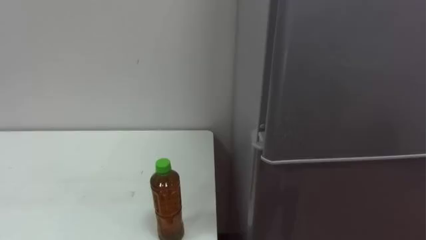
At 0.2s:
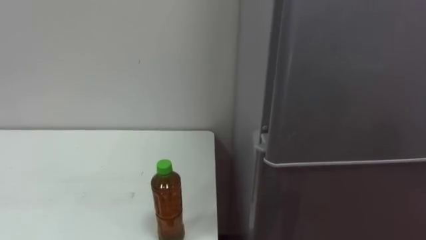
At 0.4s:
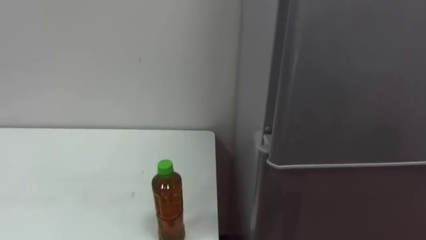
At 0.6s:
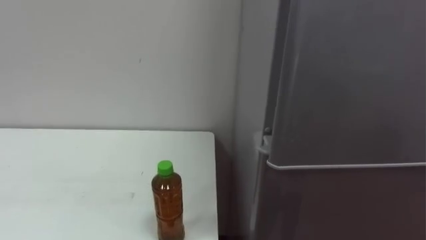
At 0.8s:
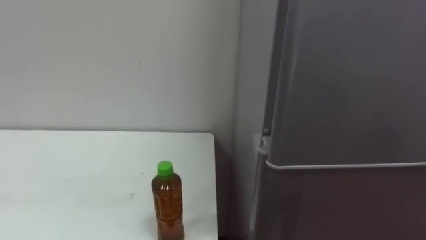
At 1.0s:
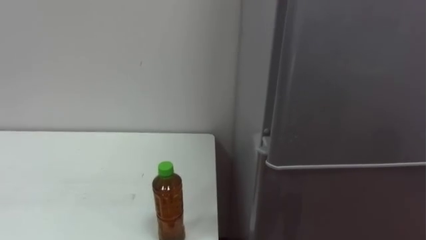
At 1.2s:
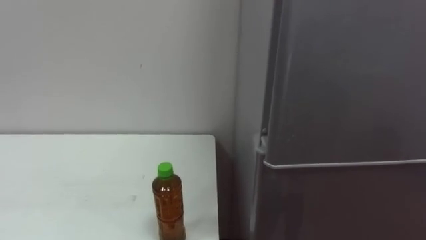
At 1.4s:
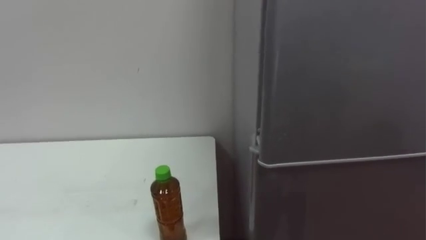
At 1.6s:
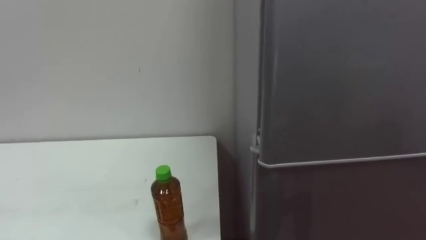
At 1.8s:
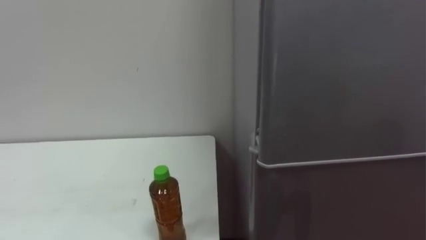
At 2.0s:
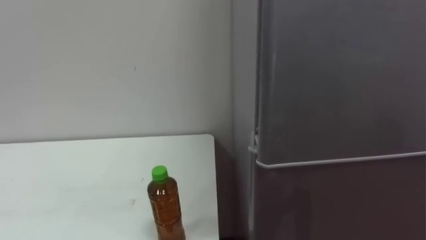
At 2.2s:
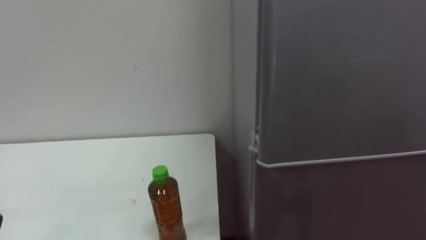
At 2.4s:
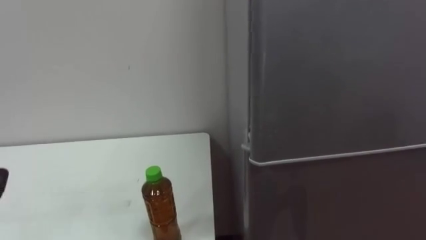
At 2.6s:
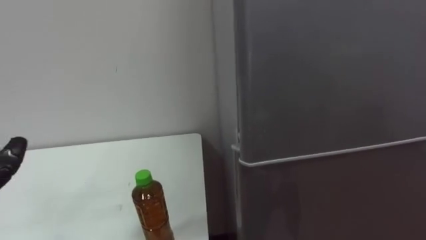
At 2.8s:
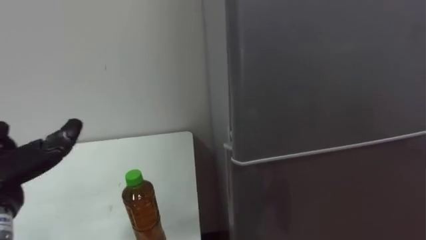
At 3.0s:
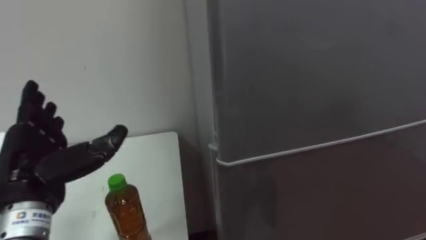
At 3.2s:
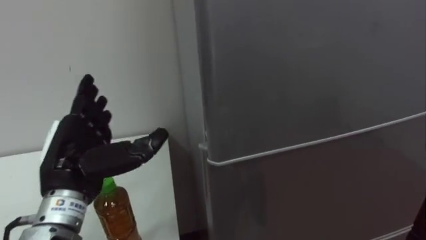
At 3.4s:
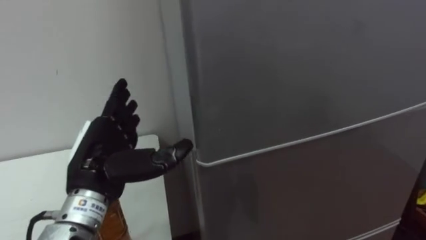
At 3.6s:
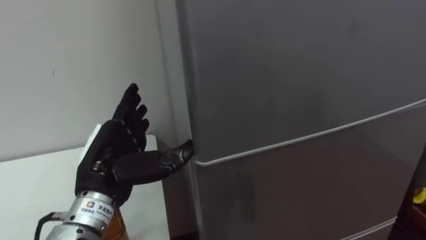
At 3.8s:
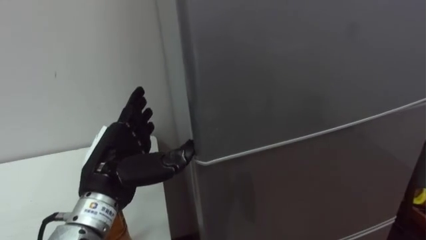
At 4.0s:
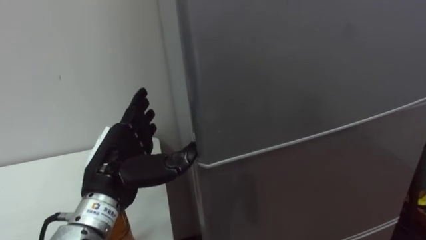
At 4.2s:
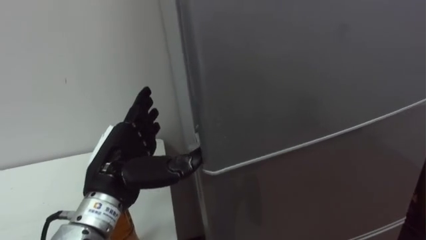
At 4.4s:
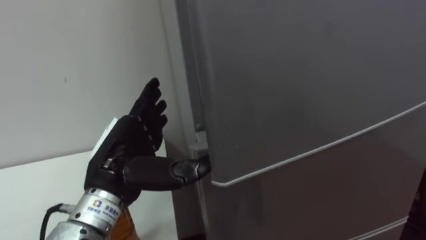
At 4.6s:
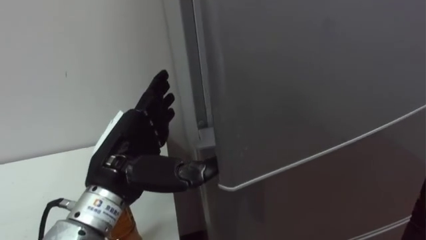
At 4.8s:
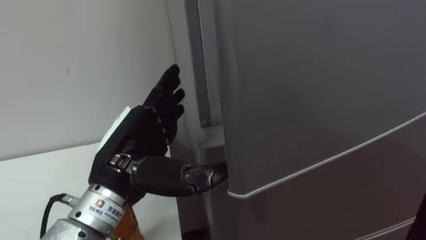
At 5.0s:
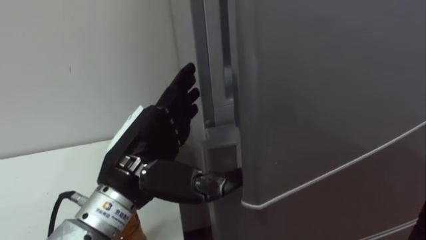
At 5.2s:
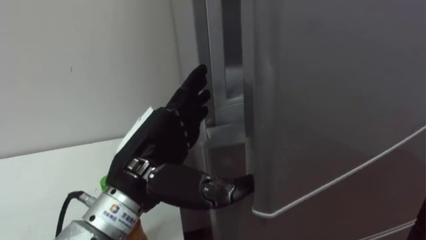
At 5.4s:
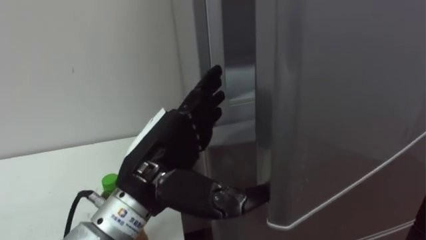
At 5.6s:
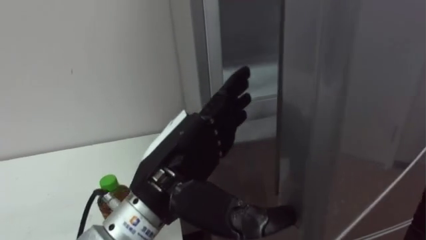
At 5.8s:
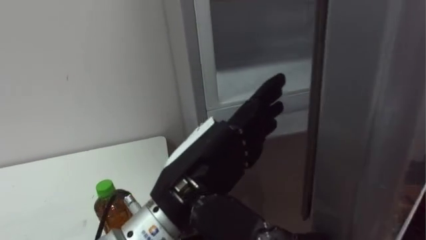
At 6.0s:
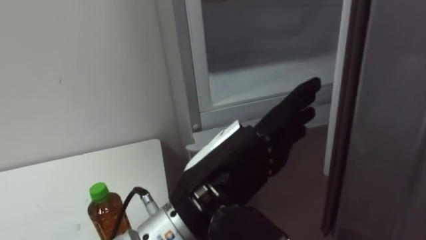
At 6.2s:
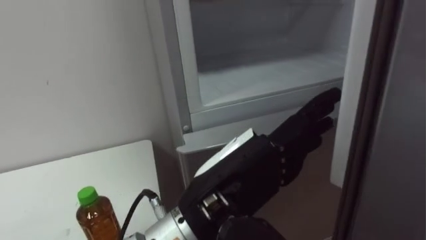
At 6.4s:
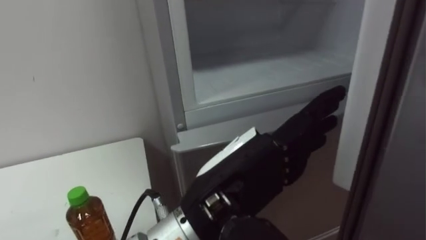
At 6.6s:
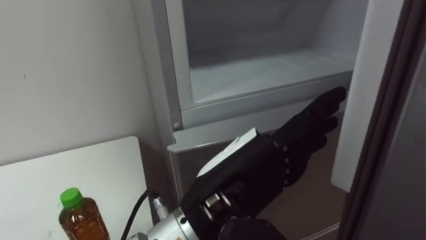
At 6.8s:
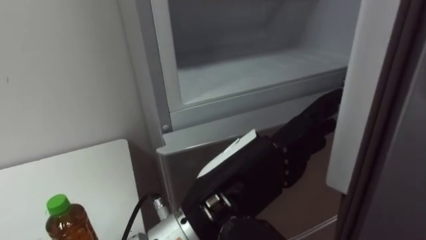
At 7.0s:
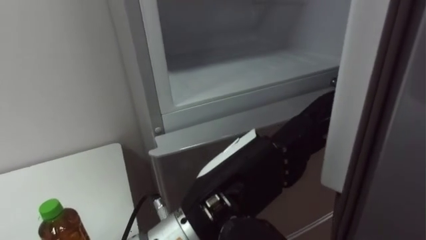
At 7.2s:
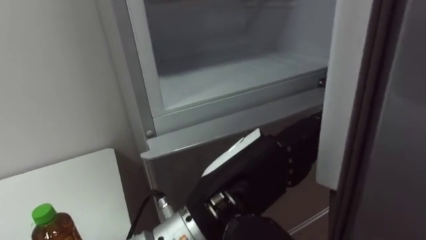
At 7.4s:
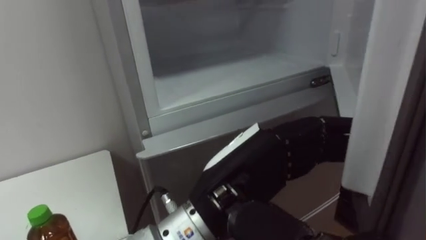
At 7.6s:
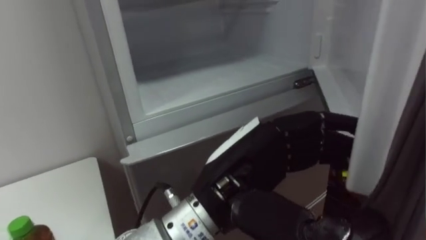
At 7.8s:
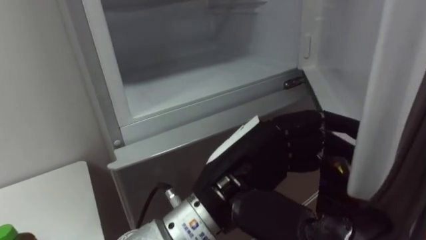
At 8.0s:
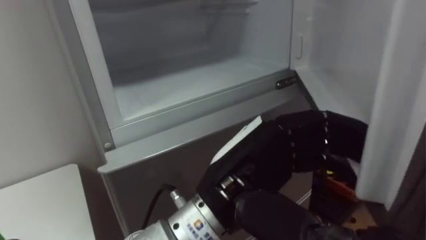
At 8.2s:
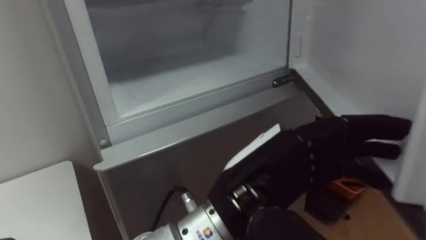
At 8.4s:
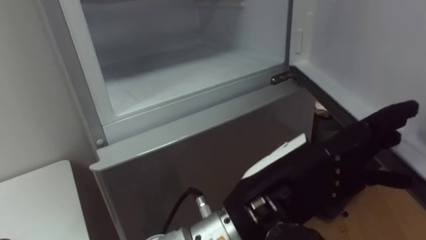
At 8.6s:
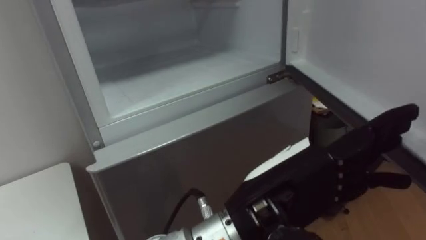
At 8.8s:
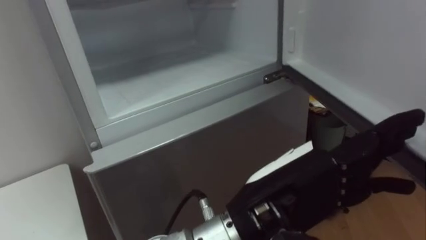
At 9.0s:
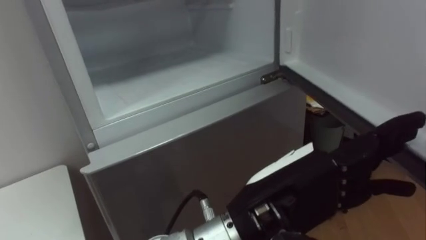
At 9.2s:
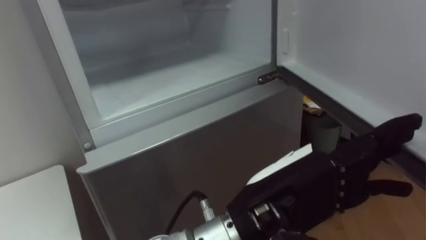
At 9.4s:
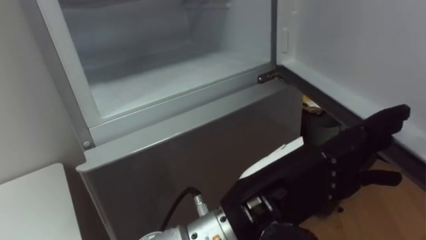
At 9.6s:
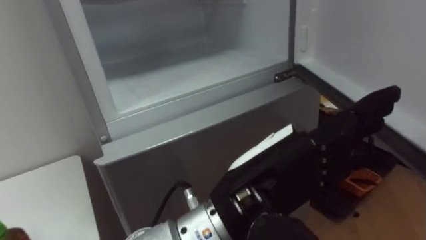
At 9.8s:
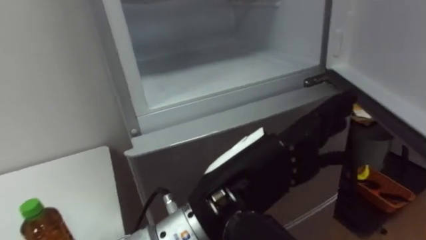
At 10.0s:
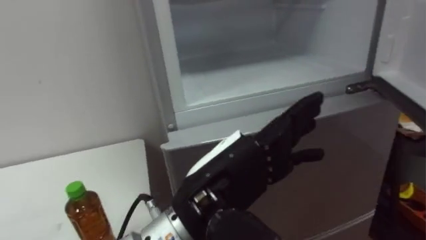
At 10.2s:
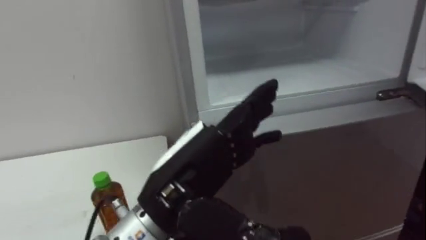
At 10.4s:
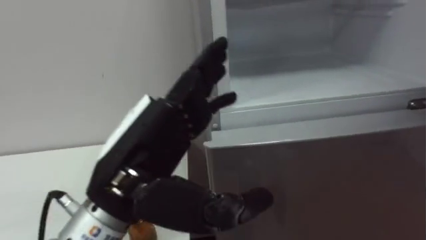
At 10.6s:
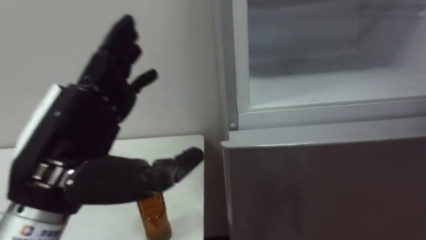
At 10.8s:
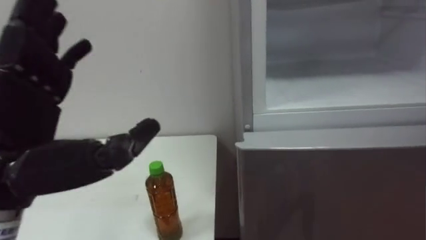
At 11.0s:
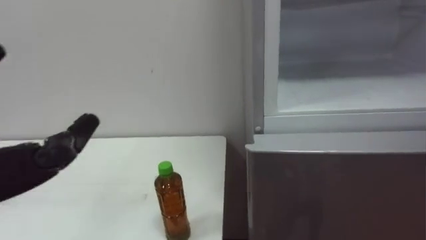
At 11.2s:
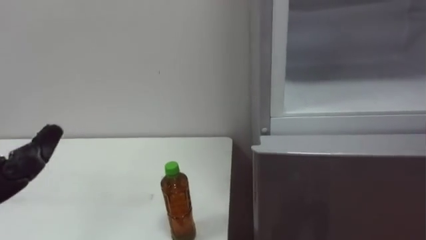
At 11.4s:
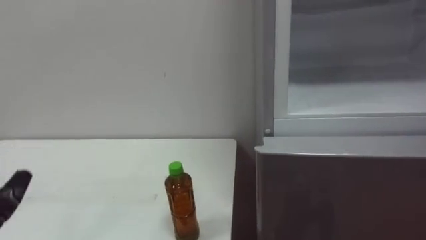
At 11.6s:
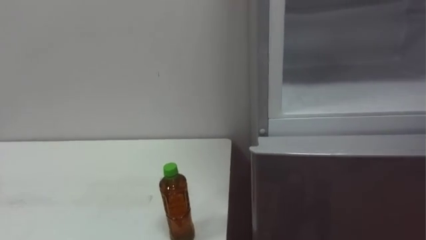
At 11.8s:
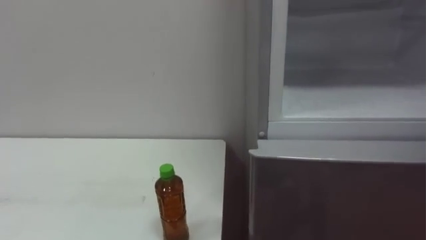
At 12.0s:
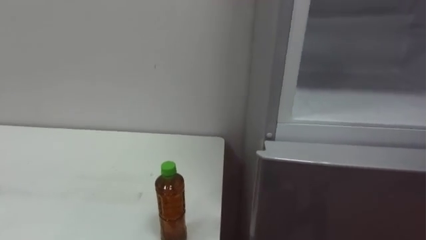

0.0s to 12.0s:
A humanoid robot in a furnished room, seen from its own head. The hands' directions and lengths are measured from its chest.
Task of the whole recording: Open the upper refrigerator door, put the drink from the table into the refrigerator, and then close the refrigerator door.
3.0s to 4.4s: The left hand heads to the right, covering some 10 cm.
4.4s to 6.0s: The left hand is displaced to the right and backward by roughly 15 cm.
6.0s to 7.6s: The left hand closes its fingers.
7.6s to 9.0s: The left hand opens up.
9.0s to 10.4s: The left hand travels to the left by approximately 15 cm.

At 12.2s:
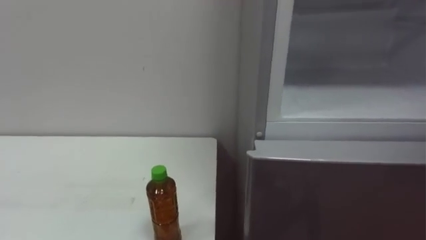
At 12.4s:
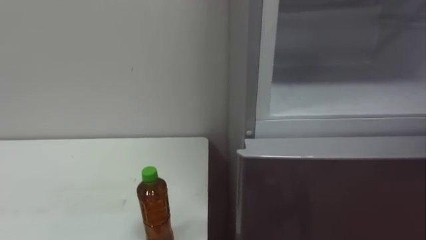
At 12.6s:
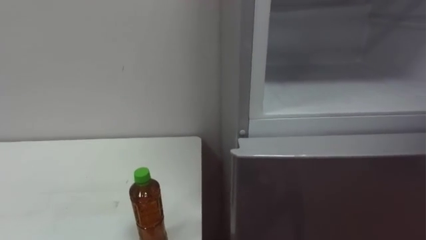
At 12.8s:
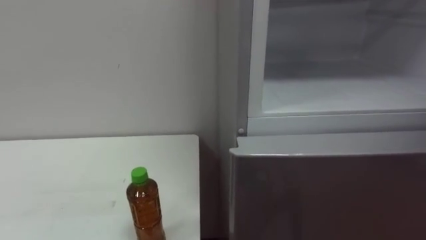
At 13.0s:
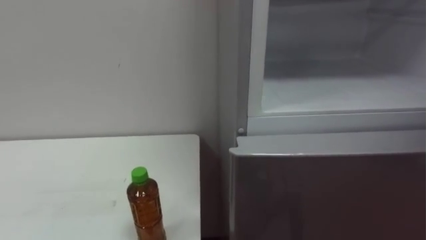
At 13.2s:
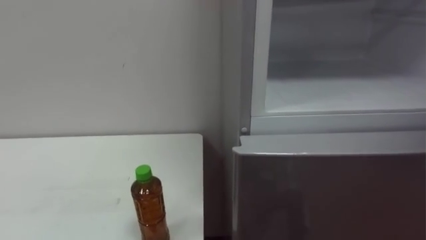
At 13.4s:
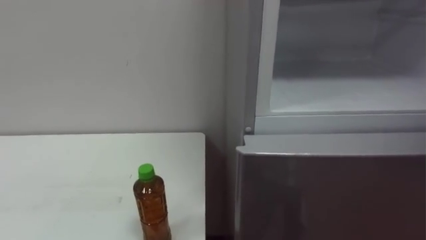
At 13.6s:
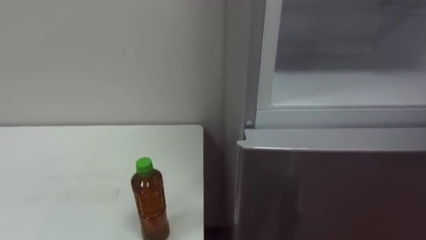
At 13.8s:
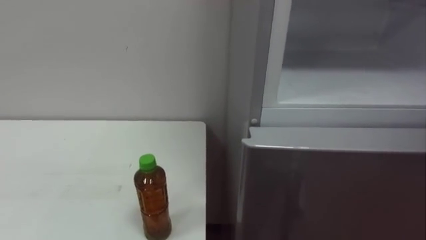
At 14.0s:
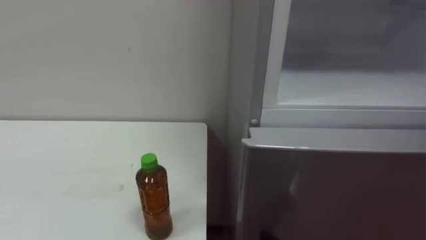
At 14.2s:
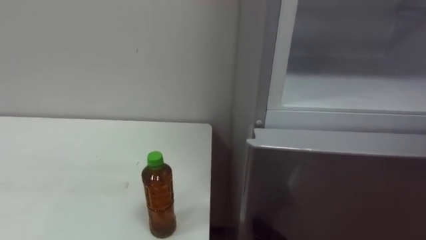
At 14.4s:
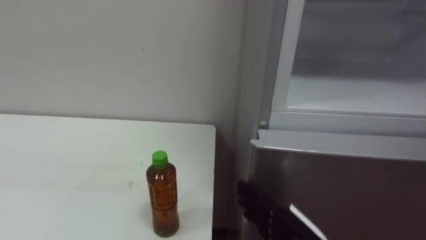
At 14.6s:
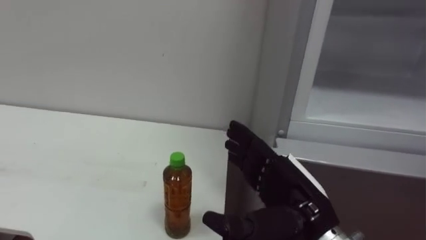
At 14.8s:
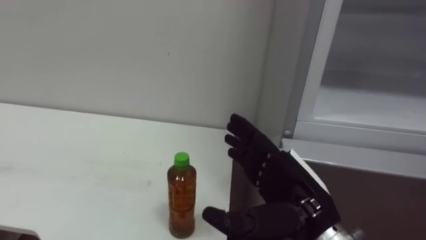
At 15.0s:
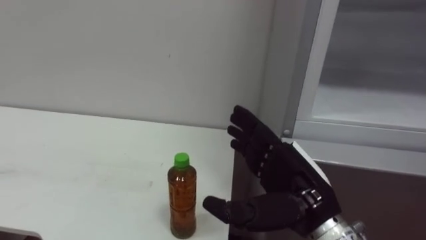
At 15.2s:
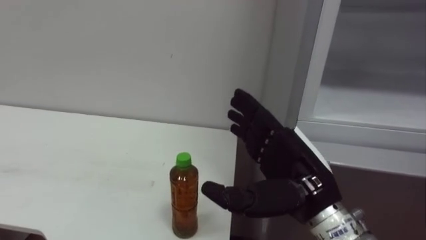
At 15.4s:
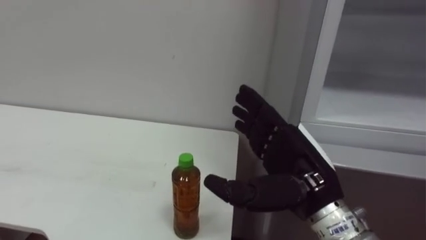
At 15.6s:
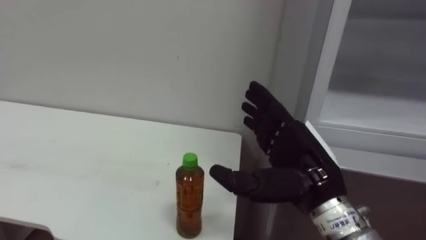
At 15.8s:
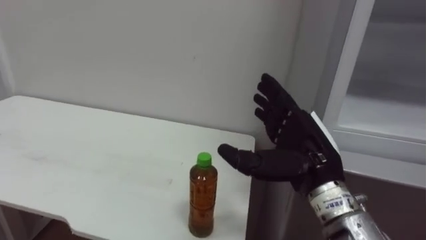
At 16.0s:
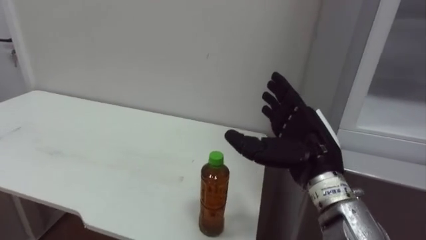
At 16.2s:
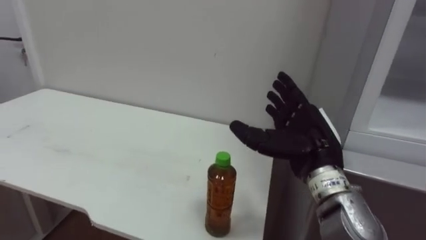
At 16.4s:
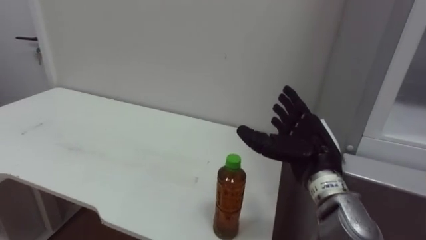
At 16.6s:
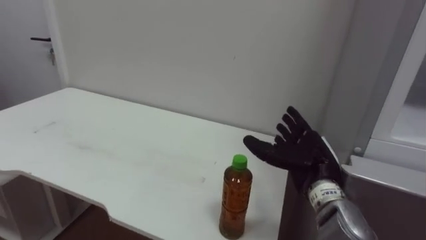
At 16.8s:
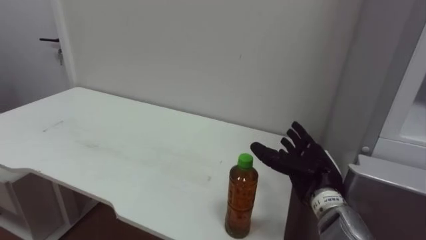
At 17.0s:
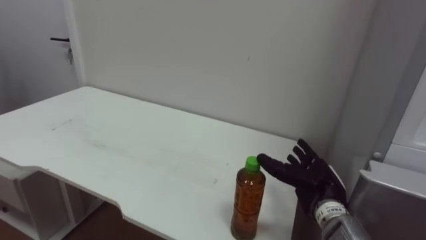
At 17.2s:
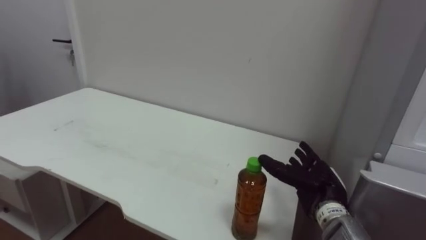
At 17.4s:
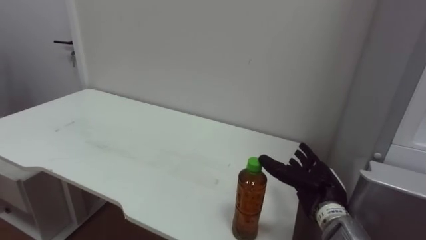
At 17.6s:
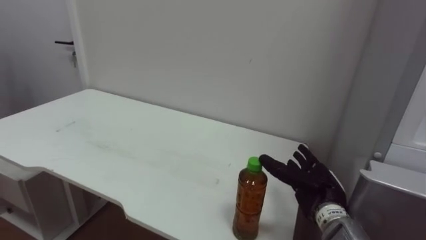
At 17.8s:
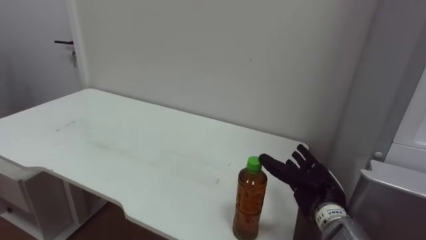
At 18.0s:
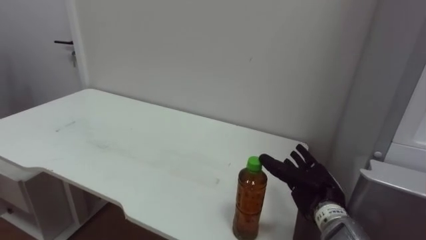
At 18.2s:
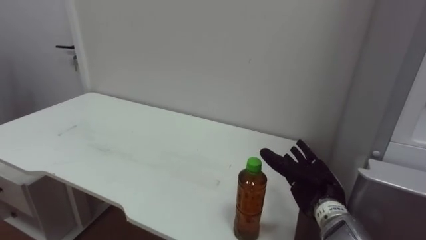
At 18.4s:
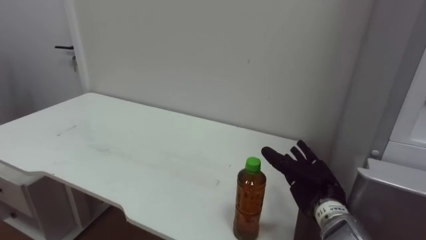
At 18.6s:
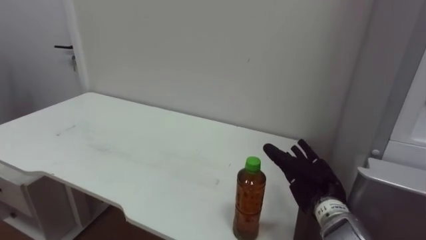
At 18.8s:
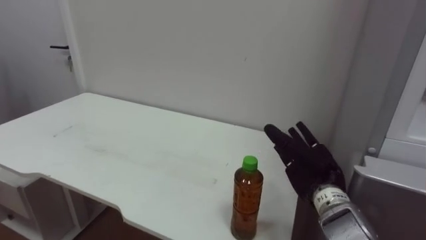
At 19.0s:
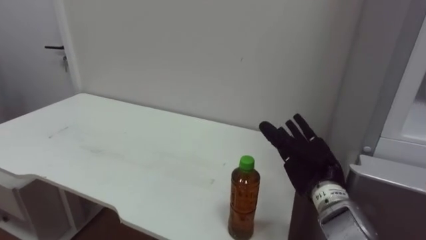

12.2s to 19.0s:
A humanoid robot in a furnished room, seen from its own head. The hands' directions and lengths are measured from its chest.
Task of the whole recording: Open the upper refrigerator door, put the drink from the table into the refrigerator, and then close the refrigerator door.
15.0s to 16.2s: The right hand moves forward, some 5 cm.
16.2s to 17.6s: The right hand moves downward, about 15 cm.
17.6s to 19.0s: The right hand shifts roughly 5 cm upward.
